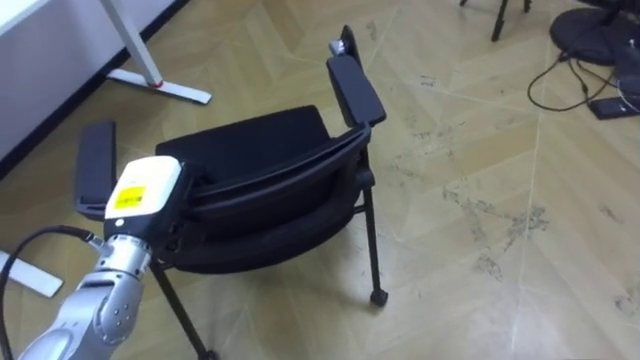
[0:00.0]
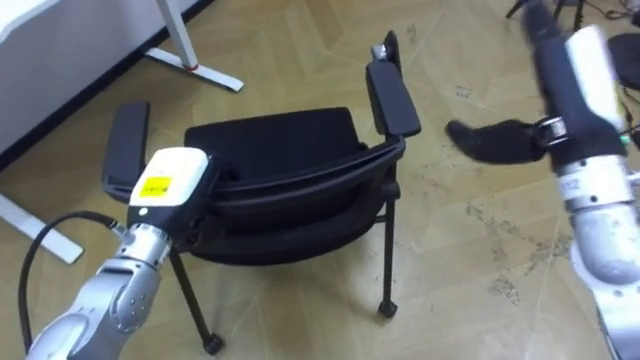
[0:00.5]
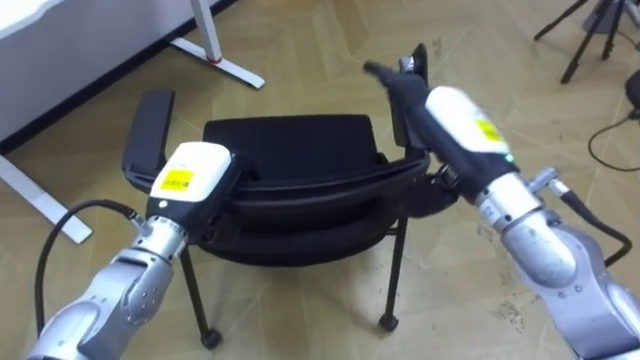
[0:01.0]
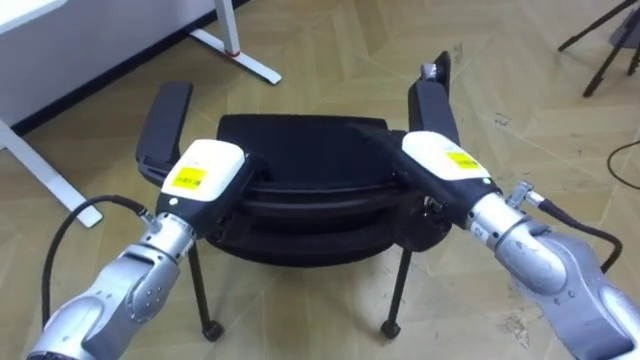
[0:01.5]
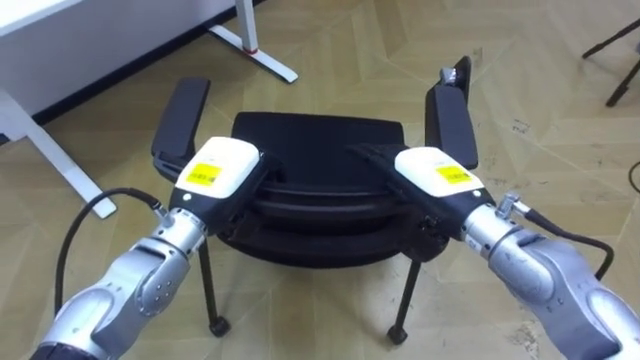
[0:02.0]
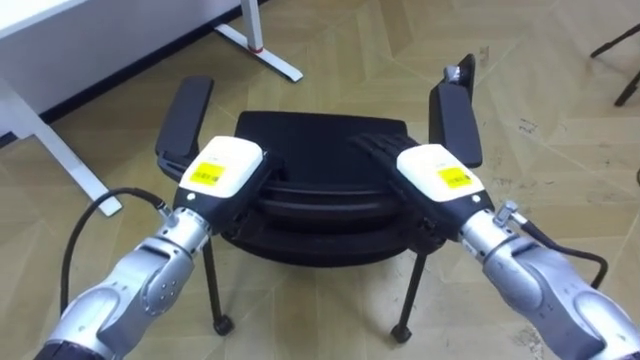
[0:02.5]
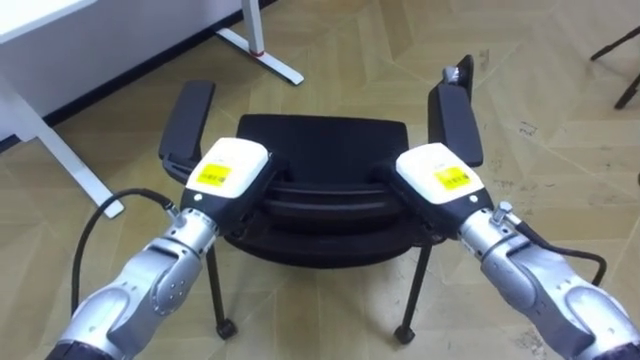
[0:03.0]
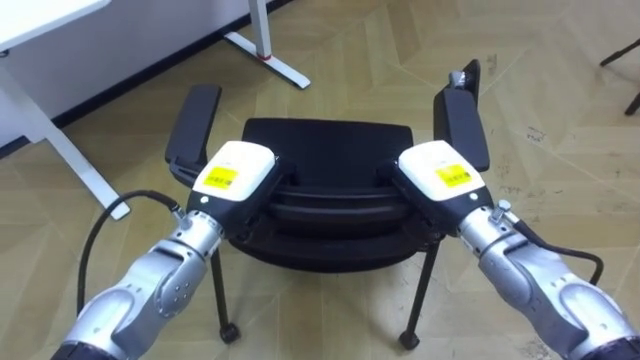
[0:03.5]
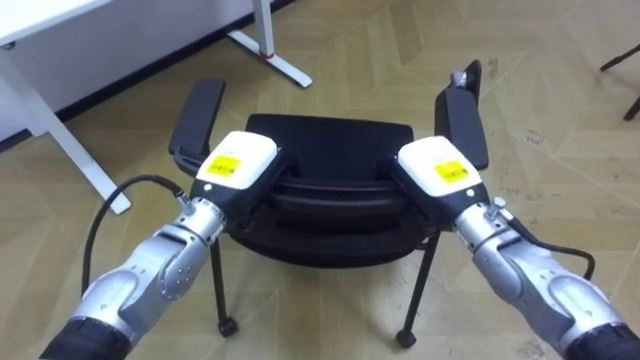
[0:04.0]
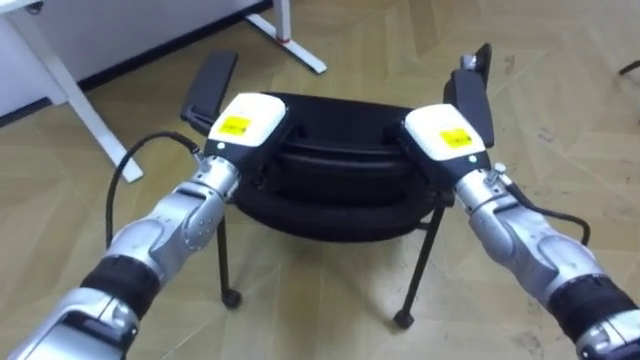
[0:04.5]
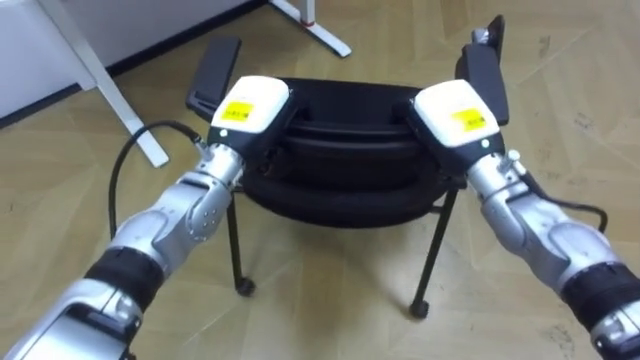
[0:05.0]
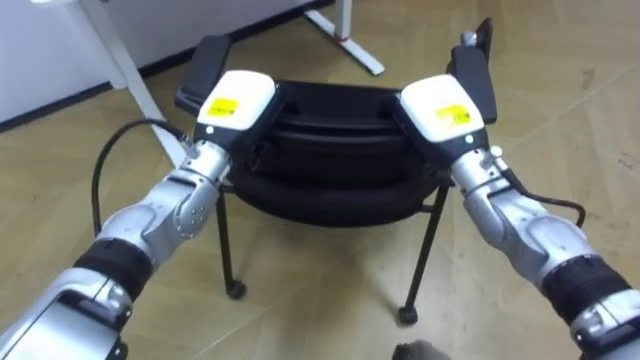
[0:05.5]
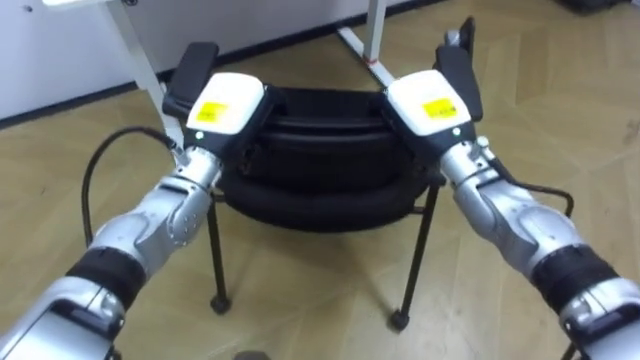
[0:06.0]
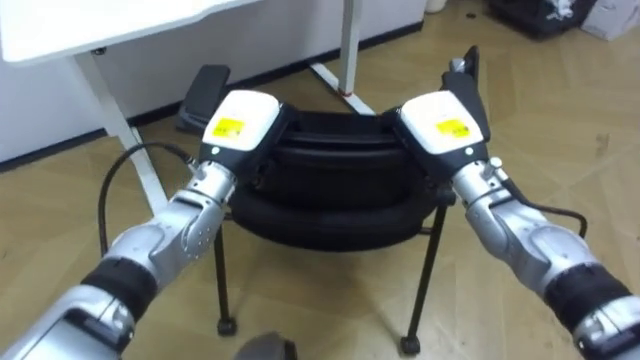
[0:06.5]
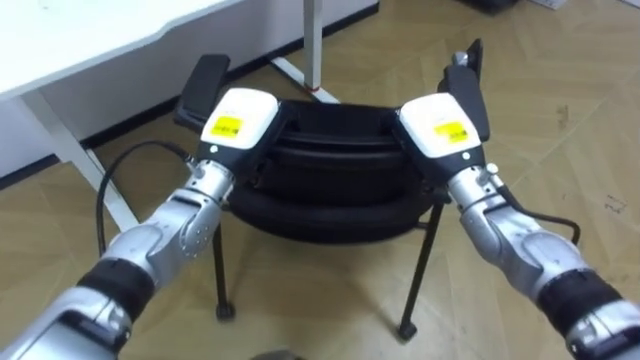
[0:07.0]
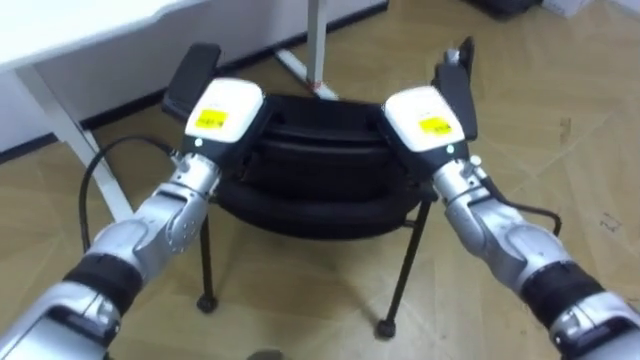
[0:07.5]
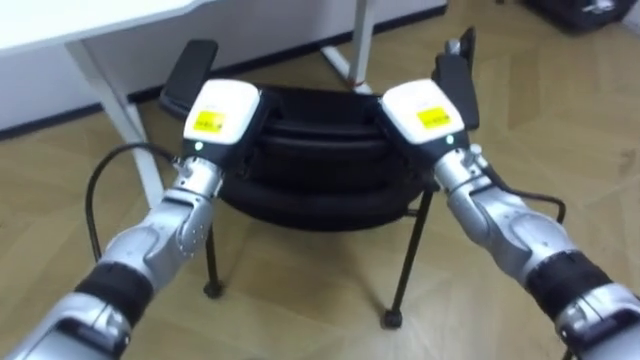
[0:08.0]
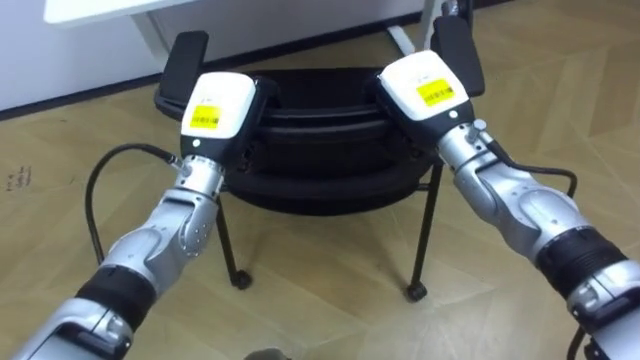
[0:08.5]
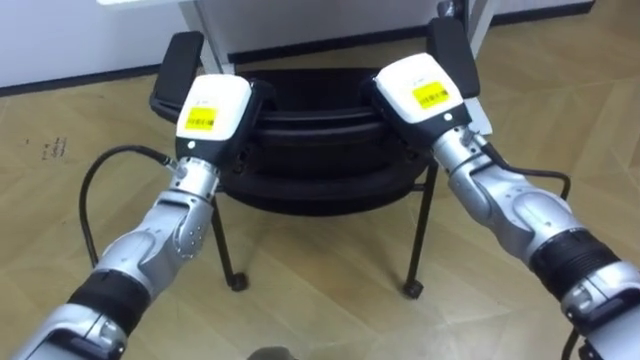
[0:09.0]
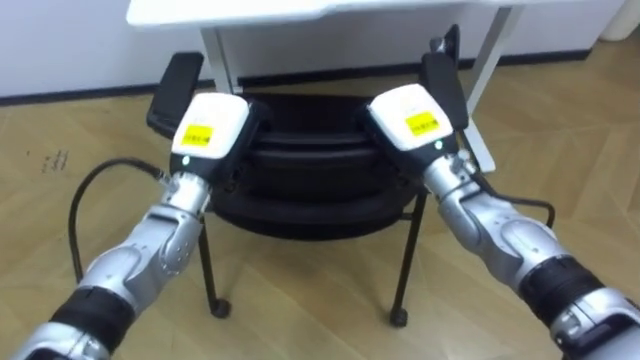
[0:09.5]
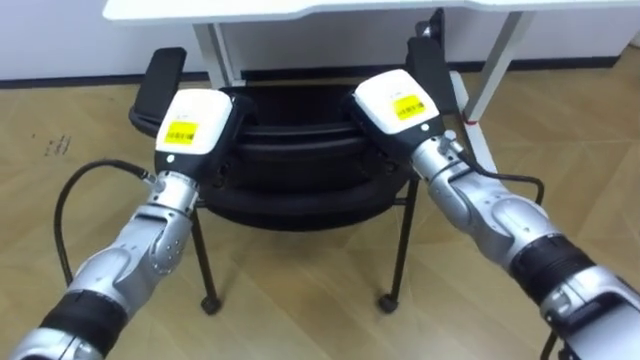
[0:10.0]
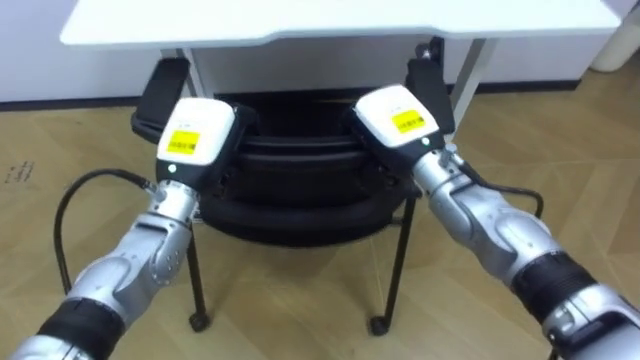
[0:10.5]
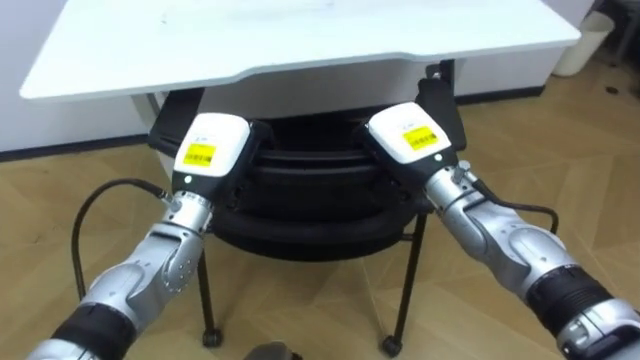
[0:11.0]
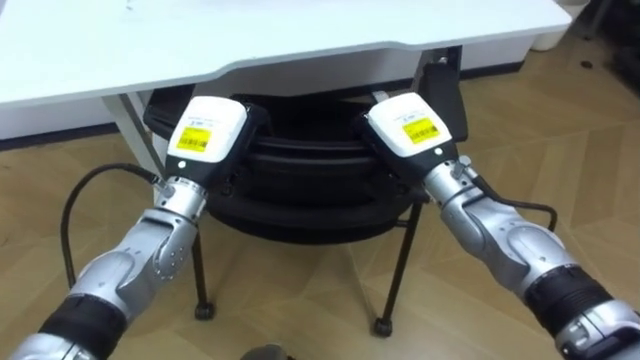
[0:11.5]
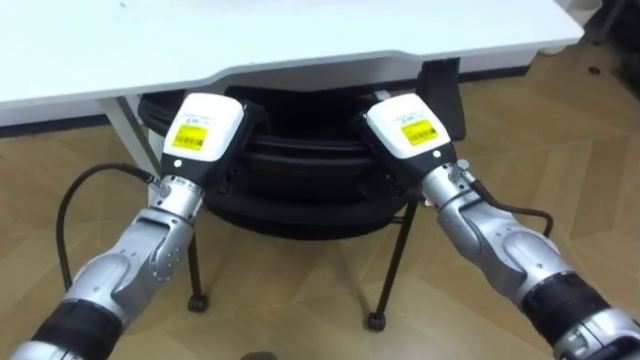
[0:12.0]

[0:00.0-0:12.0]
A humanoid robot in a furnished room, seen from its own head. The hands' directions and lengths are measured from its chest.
Task of the whole recording: Push the chair under the table.
0:00.0 to 0:02.0: The left hand is displaced to the right by approximately 10 cm.
0:02.0 to 0:04.0: The right hand closes up.
0:04.0 to 0:06.0: The two hands go some 5 cm forward.

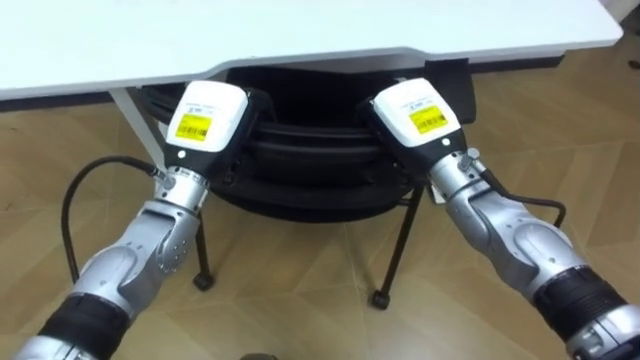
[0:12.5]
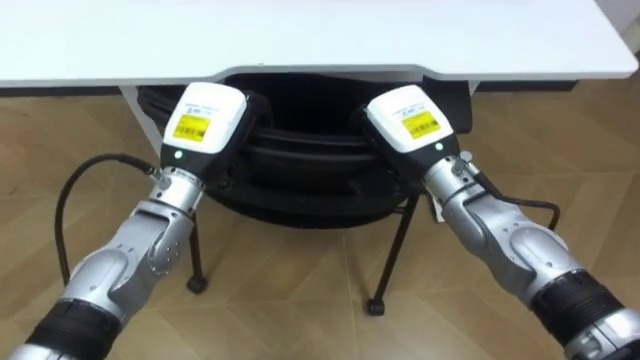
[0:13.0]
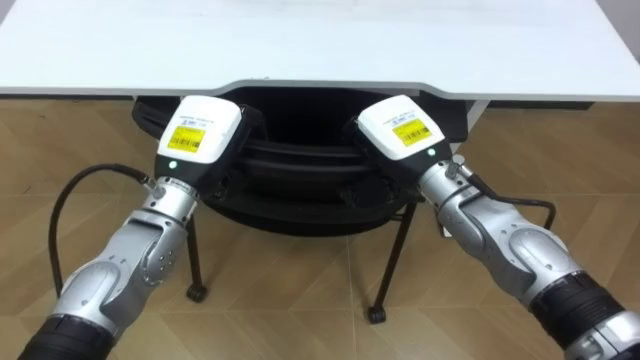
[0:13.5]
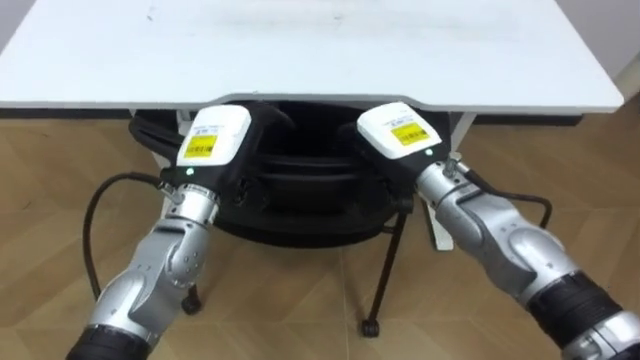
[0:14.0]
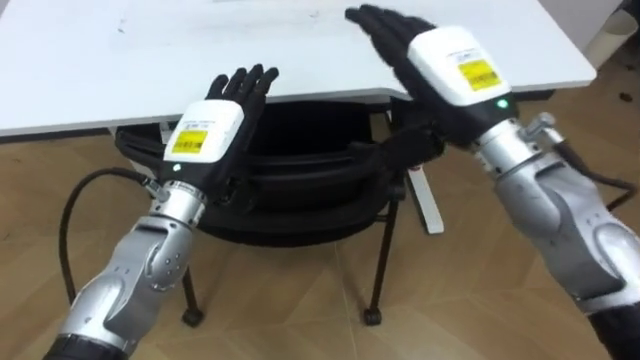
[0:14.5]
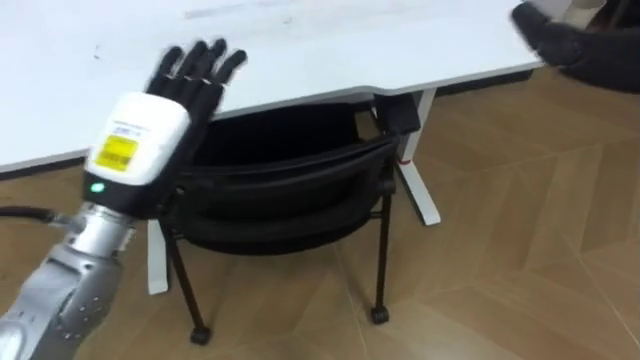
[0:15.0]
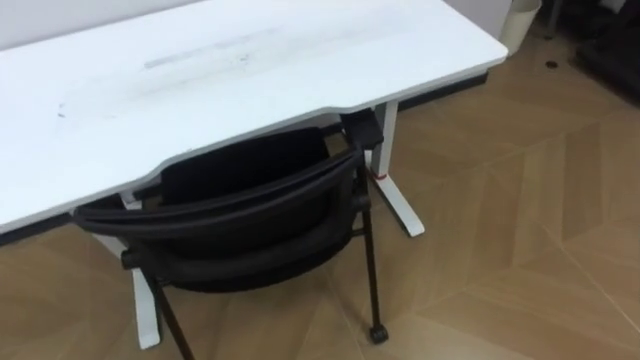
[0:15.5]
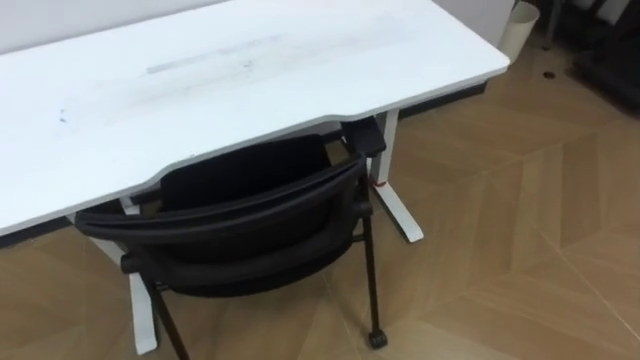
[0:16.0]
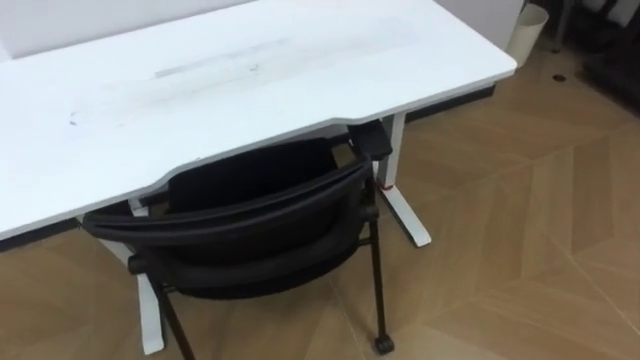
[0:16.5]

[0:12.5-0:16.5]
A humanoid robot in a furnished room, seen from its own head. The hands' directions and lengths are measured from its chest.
Task of the whole recording: Push the chair under the table.
0:12.5 to 0:14.5: The left hand opens up. Meanwhile the right hand goes about 10 cm upward, and opens up.
